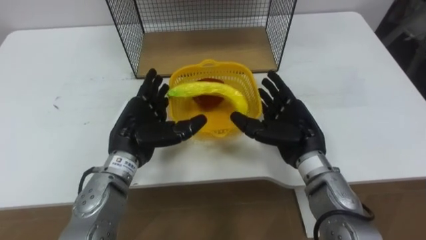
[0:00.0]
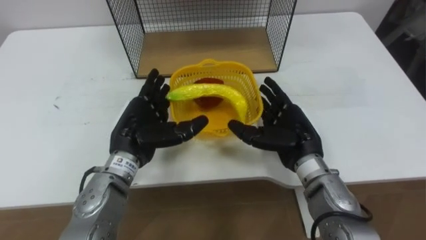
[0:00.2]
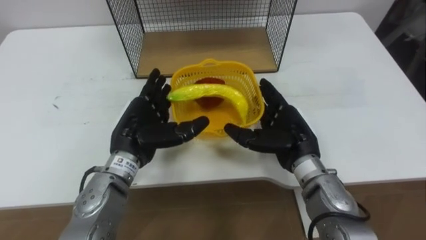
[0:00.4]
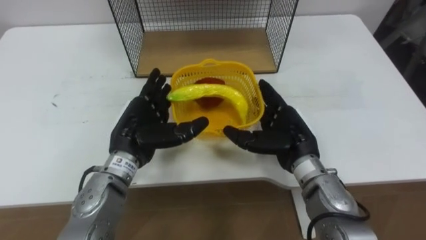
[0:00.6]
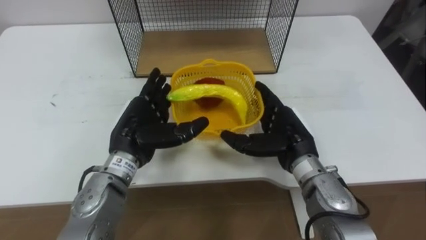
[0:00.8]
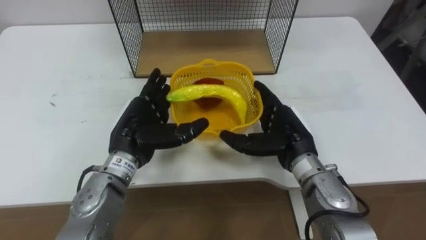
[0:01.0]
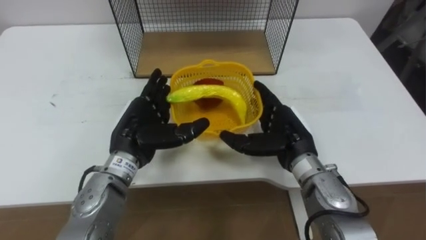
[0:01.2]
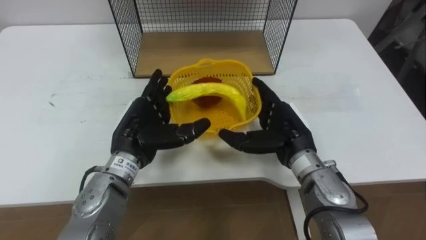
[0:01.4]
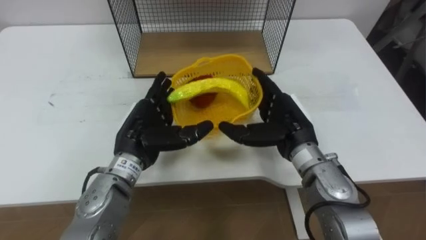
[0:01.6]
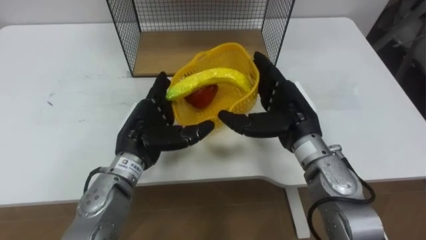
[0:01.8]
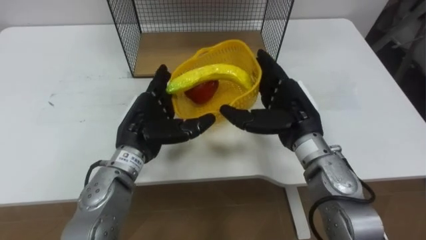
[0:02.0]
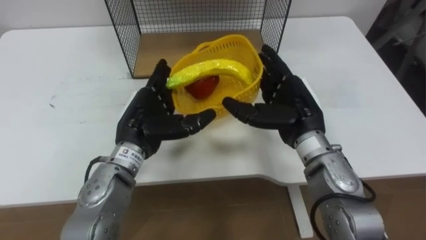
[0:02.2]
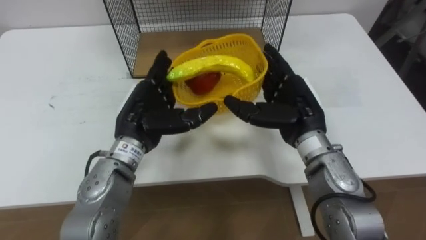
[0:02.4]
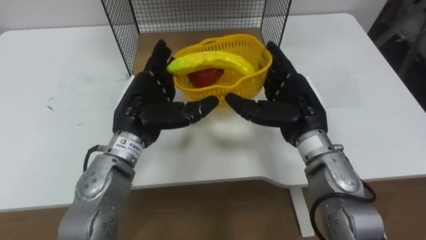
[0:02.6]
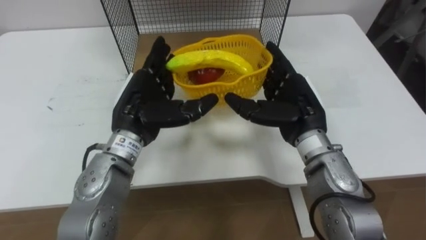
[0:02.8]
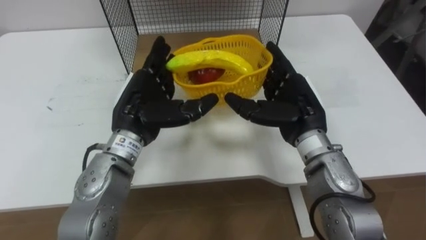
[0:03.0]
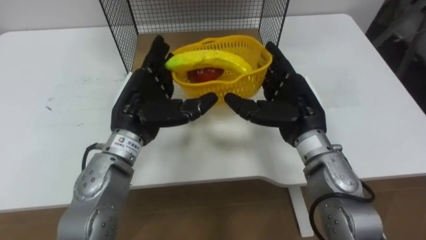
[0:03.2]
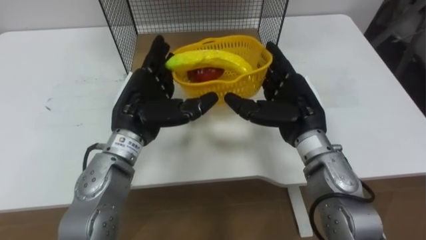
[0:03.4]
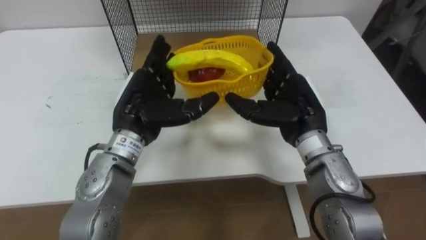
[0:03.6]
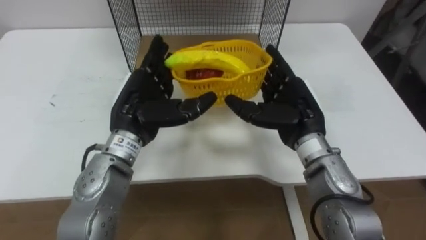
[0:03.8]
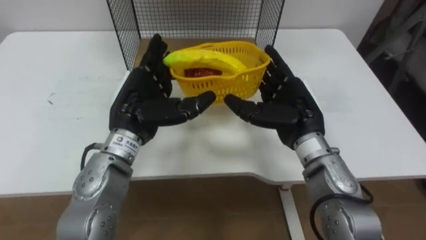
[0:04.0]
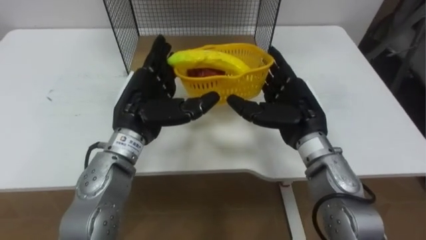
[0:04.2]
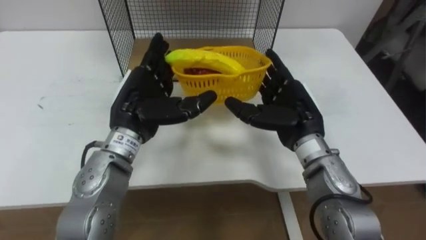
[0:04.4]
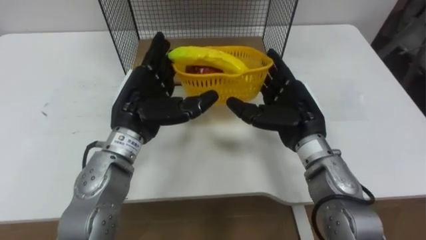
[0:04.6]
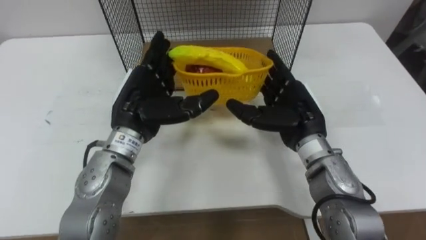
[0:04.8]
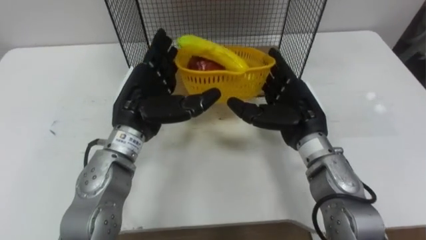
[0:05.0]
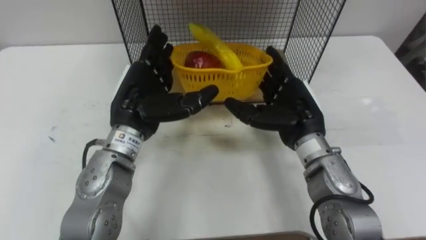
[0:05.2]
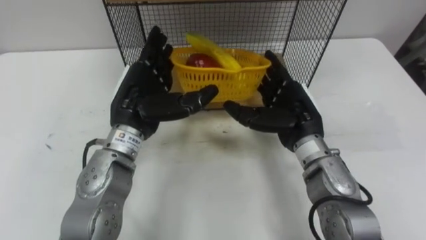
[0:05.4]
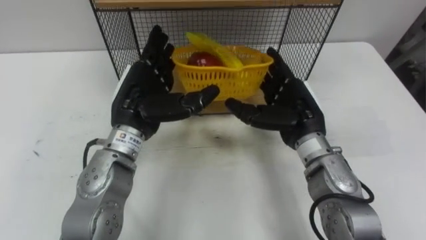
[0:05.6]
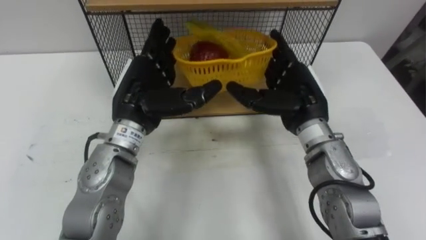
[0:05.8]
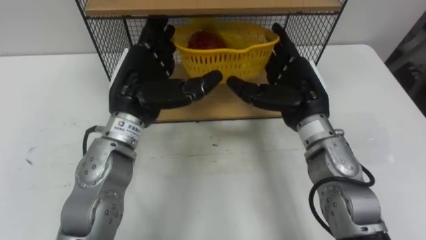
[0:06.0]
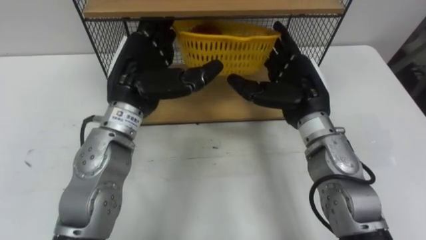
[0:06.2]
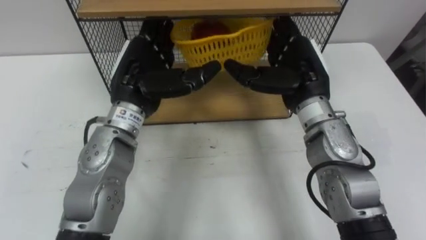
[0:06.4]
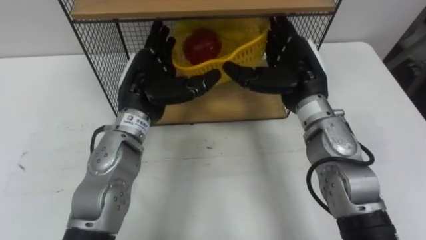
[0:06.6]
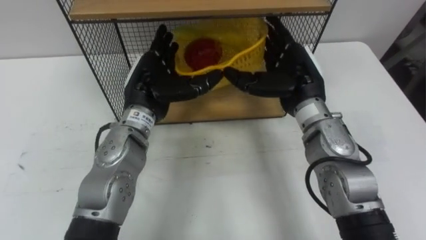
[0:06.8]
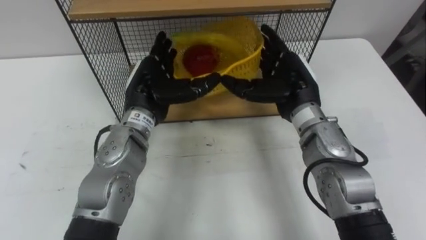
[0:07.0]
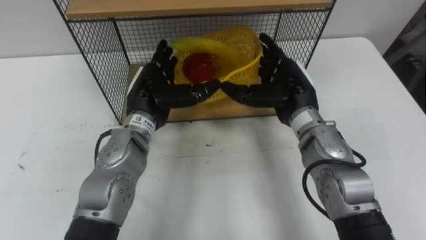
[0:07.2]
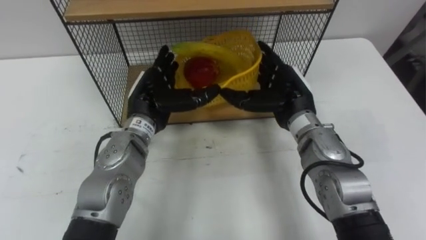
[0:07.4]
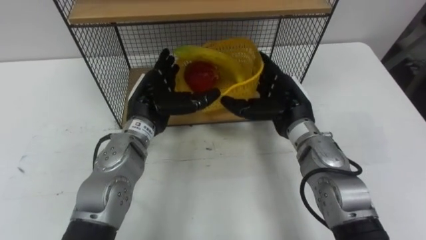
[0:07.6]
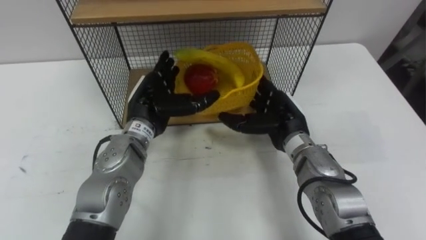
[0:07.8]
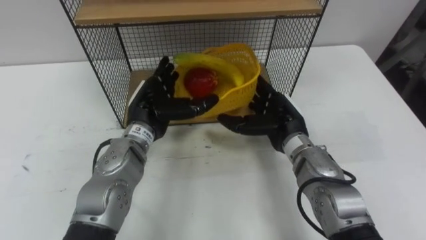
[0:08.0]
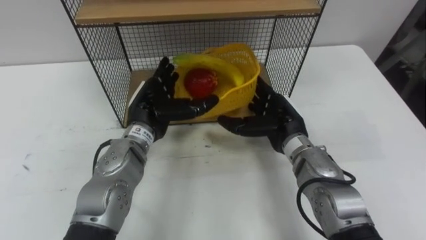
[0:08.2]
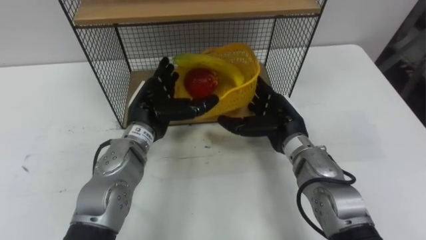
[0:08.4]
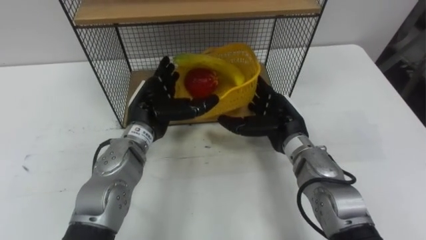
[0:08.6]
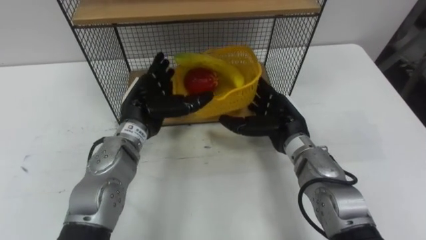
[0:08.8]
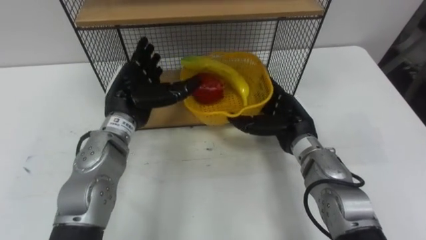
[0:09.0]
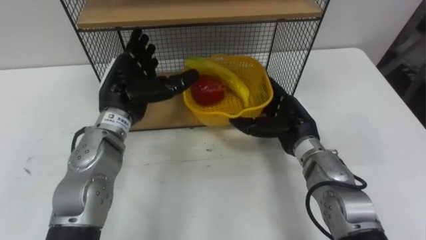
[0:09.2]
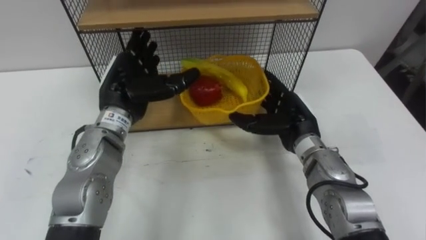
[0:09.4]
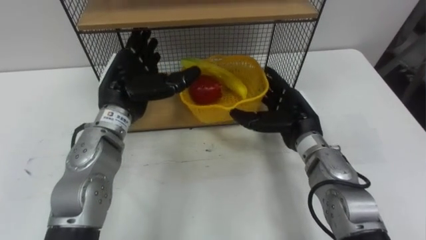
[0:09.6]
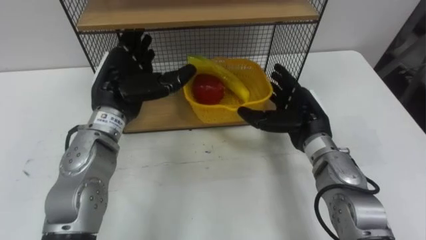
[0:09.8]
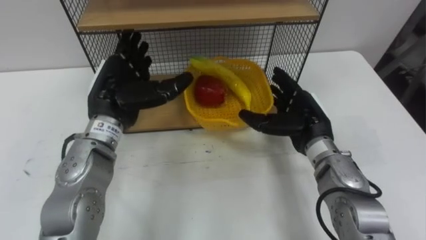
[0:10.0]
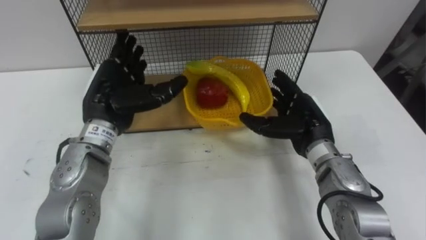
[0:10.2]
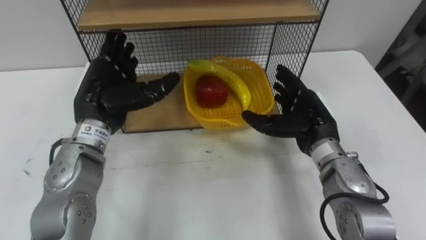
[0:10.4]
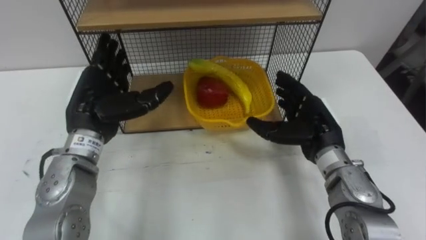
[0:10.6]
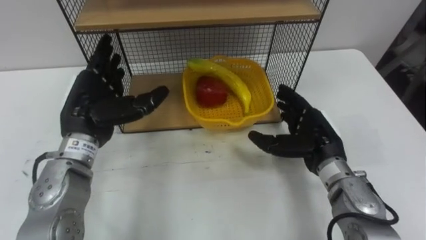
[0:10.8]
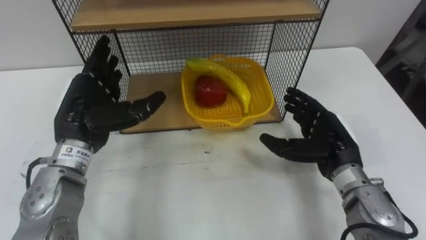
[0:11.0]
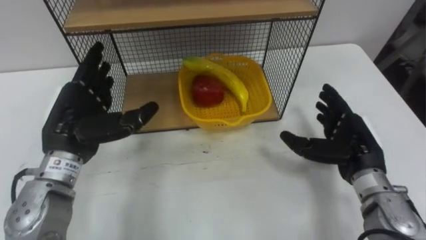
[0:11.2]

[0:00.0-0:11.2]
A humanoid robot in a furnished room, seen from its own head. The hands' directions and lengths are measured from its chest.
Task of the whole recording: Put the fruit on the table into the basket, then place the basket on the shelf.
0:00.0 to 0:01.6: The hands stay close to where they were, moving slightly.
0:01.6 to 0:03.2: The left hand moves upward, some 5 cm.
0:04.8 to 0:06.4: The right hand moves upward, approximately 5 cm.
0:06.4 to 0:08.0: Both hands move downward, some 10 cm.
0:08.0 to 0:09.6: The left hand shifts about 5 cm upward.
0:09.6 to 0:11.2: The right hand shifts some 10 cm to the right and backward; the left hand heads to the left and backward, covering approximately 10 cm.

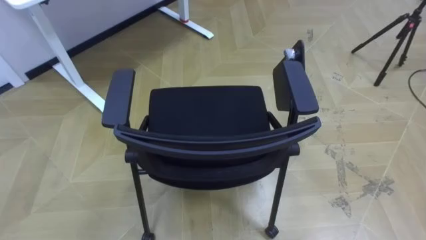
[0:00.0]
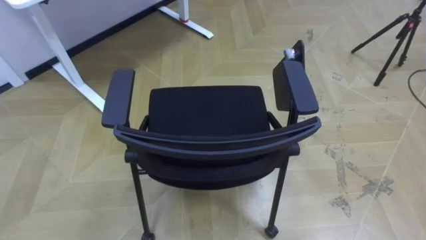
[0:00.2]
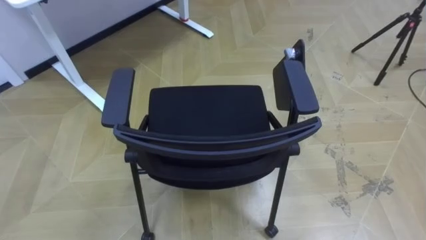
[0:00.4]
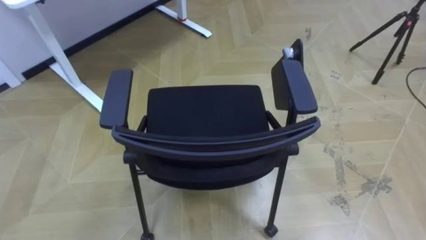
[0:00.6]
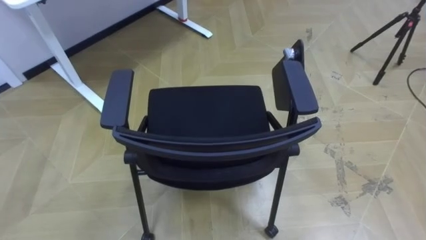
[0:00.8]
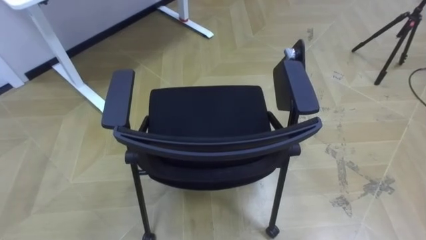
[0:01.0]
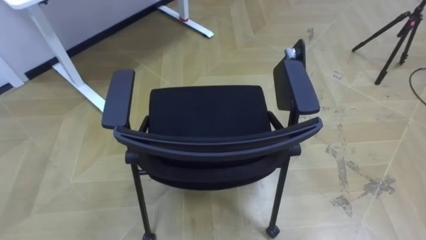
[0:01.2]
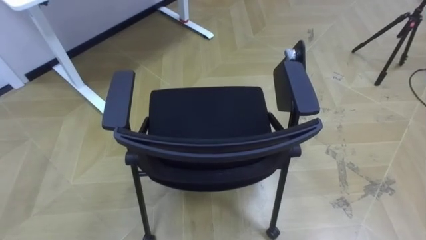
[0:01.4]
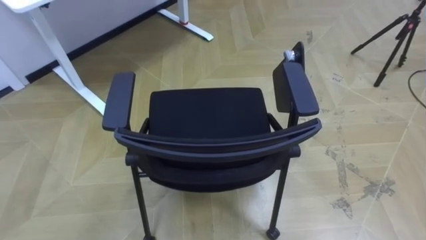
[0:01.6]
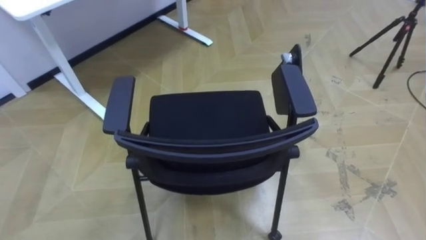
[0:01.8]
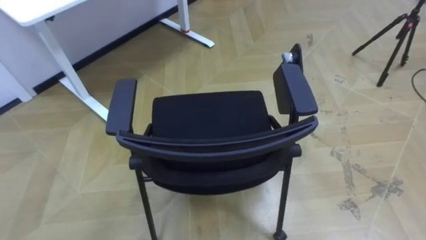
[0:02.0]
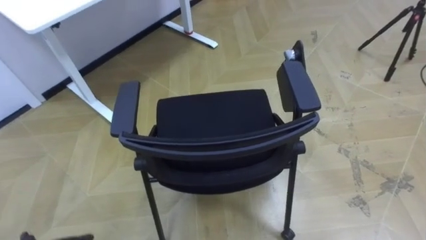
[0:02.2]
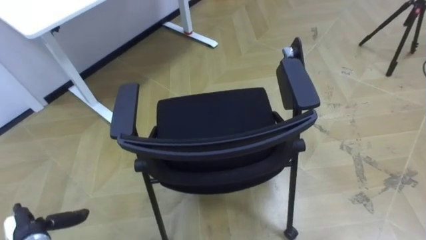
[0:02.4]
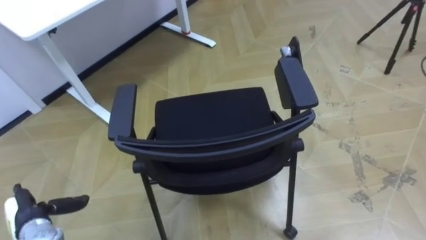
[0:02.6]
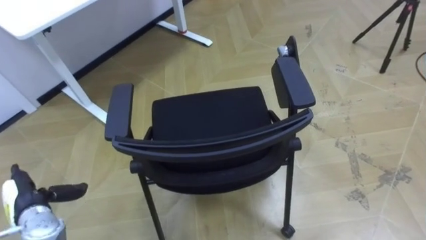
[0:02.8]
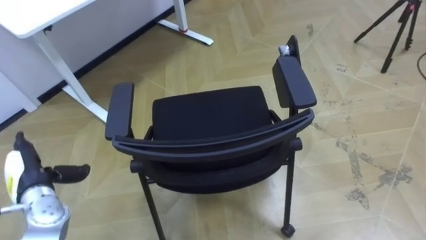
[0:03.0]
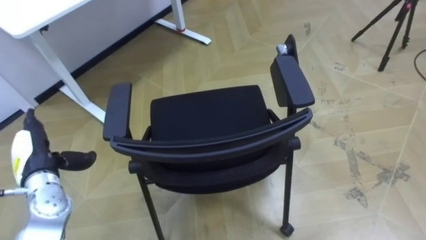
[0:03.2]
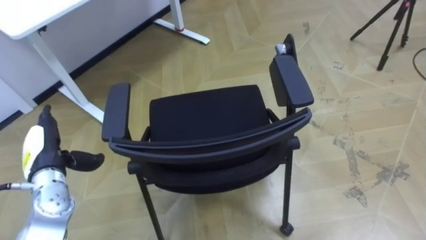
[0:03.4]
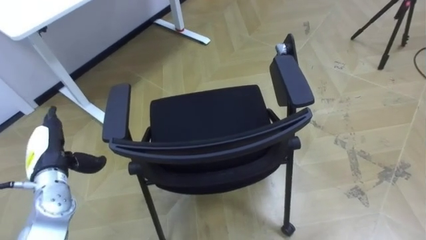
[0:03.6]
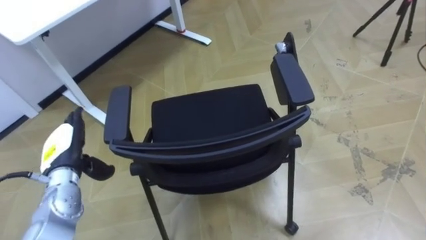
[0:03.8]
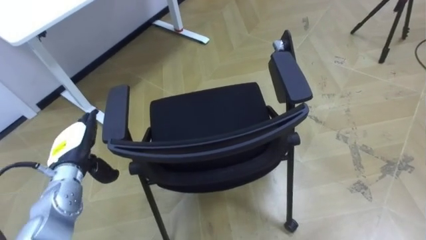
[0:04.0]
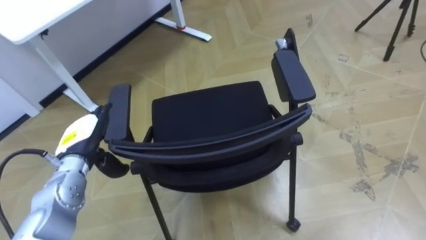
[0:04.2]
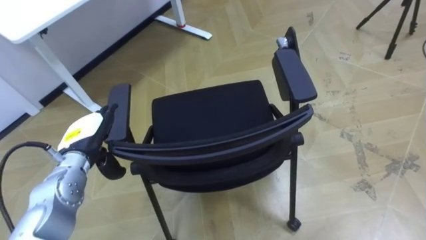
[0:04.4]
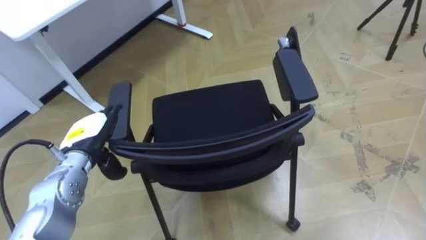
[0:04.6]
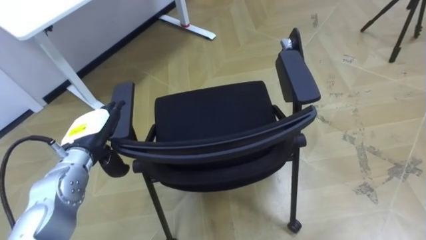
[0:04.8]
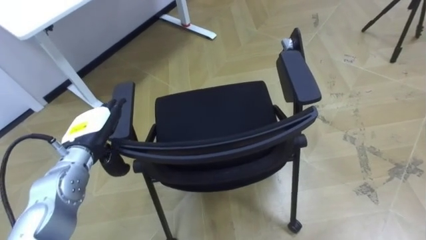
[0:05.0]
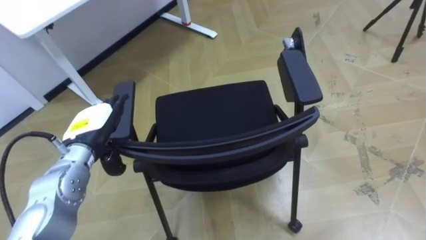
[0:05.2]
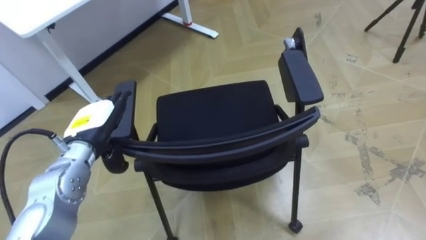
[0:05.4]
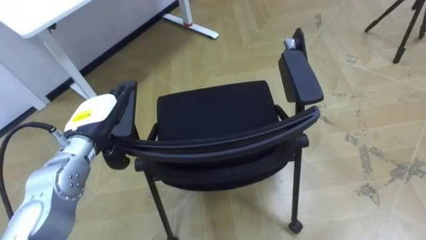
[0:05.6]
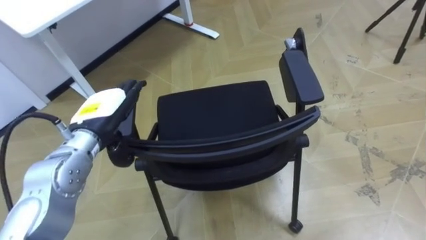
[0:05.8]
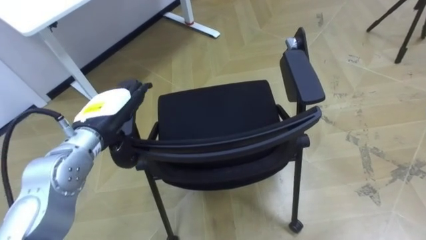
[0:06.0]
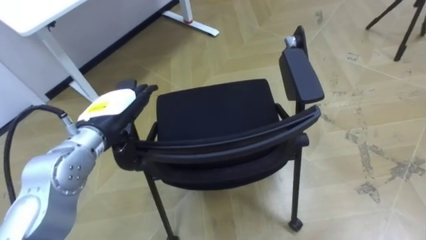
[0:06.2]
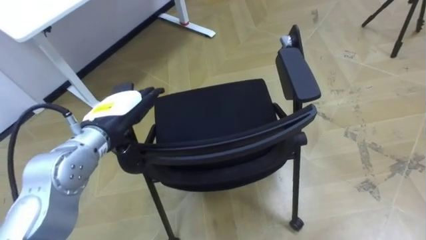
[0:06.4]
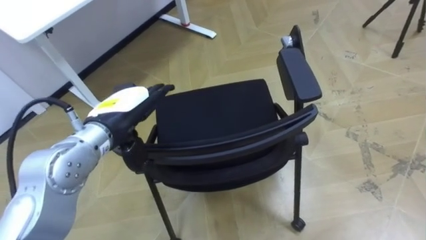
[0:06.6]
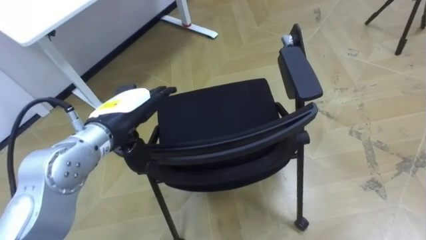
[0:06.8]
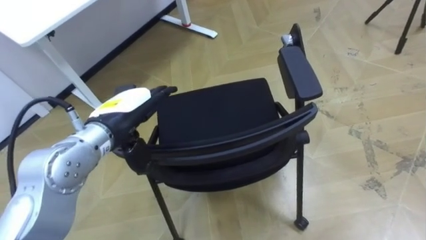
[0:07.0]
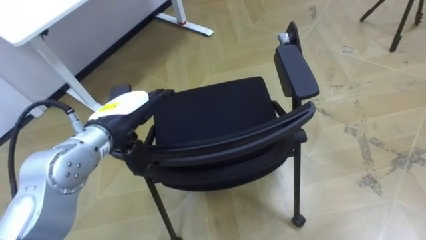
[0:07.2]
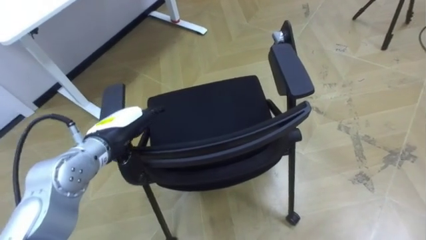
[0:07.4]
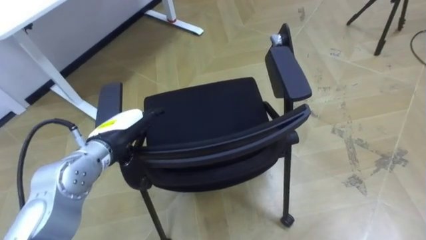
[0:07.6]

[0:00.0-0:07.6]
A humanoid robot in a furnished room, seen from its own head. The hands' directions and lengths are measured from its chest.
Task of the whole recording: Push the chair under the table.
0:03.0 to 0:04.6: The left hand is displaced to the right and forward by approximately 10 cm.
0:04.6 to 0:06.0: The left hand heads upward and to the right, covering approximately 10 cm.
